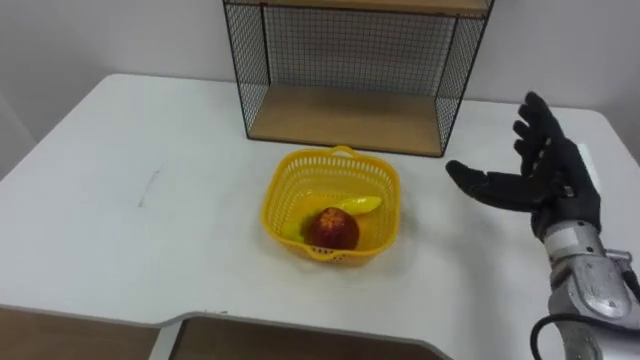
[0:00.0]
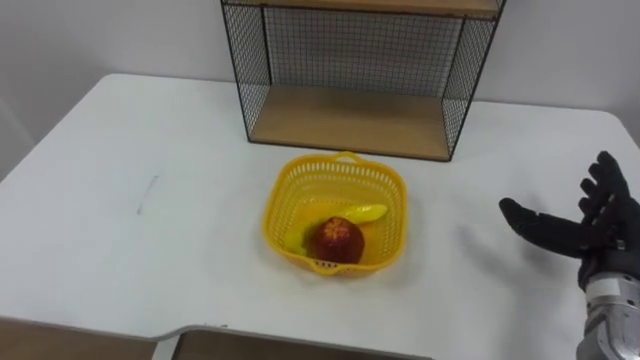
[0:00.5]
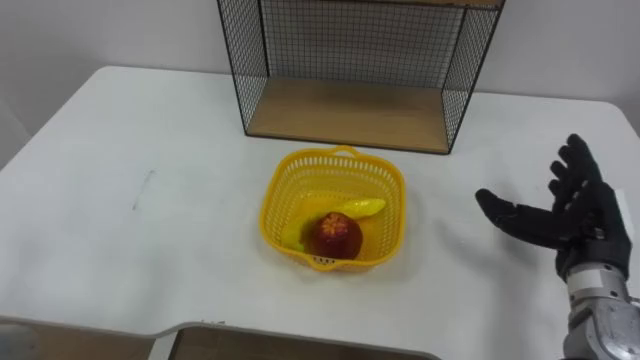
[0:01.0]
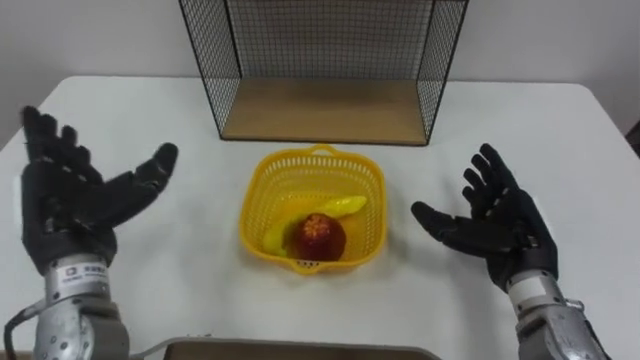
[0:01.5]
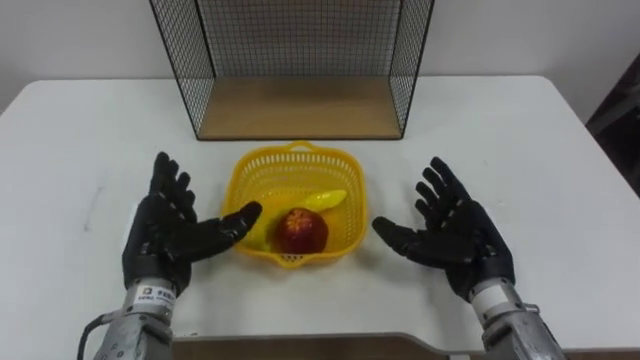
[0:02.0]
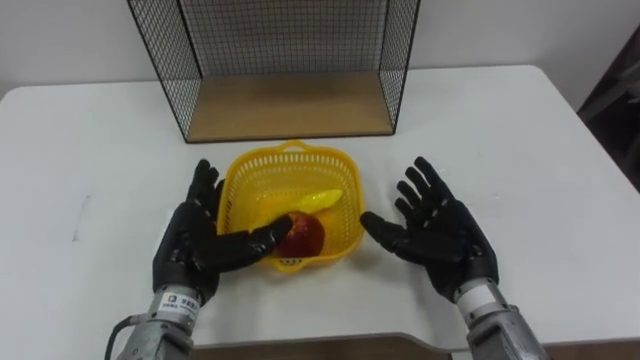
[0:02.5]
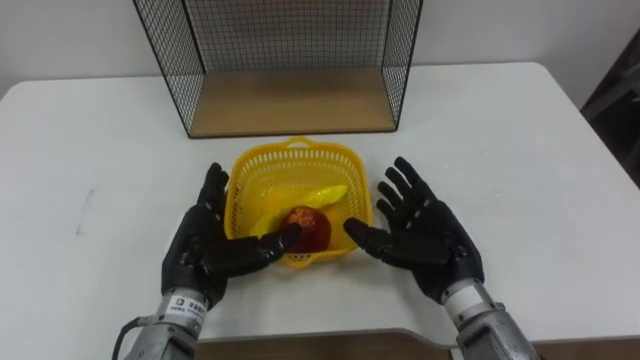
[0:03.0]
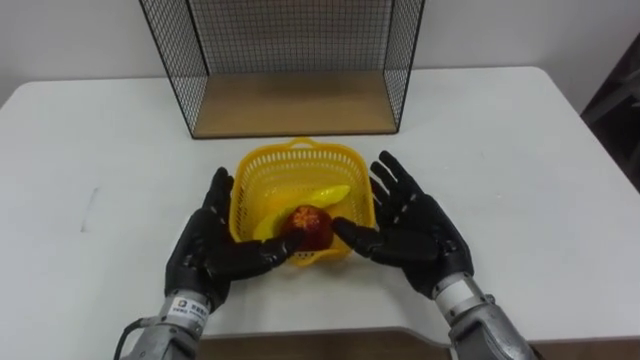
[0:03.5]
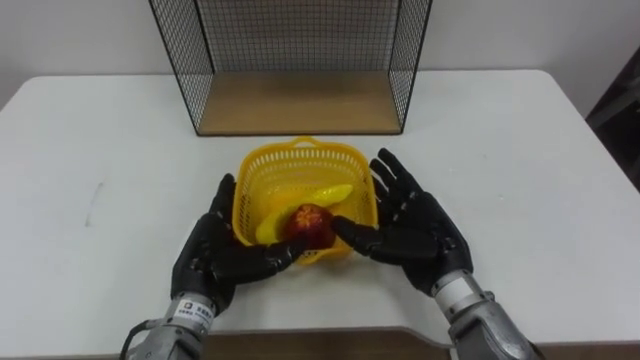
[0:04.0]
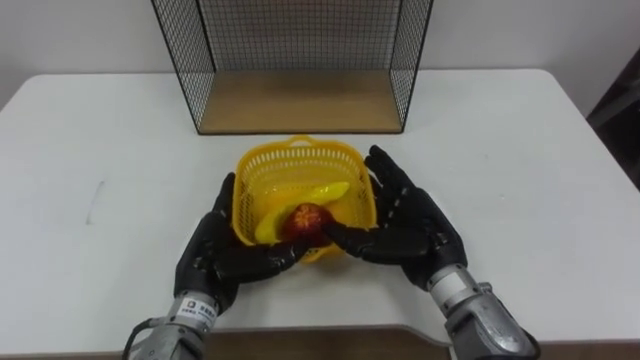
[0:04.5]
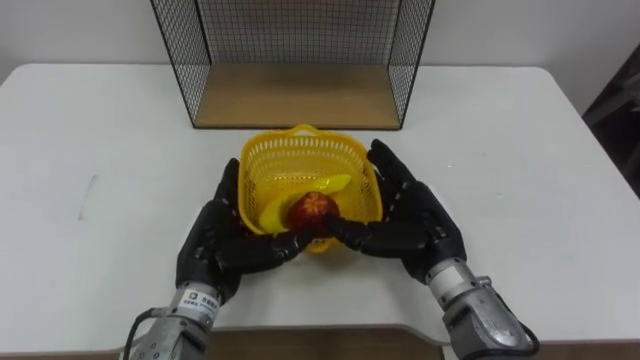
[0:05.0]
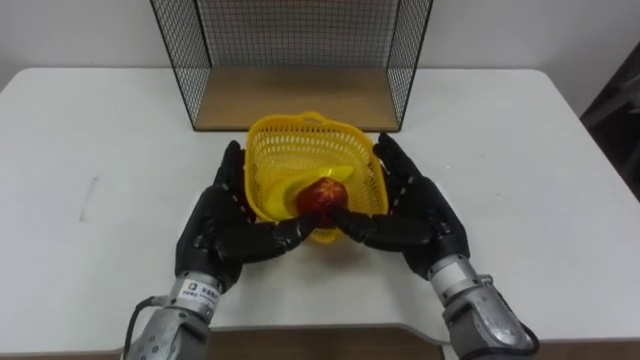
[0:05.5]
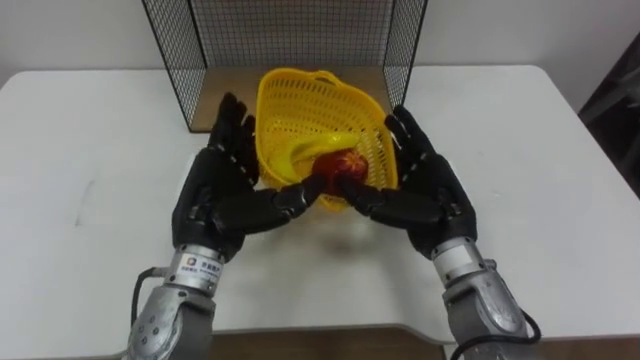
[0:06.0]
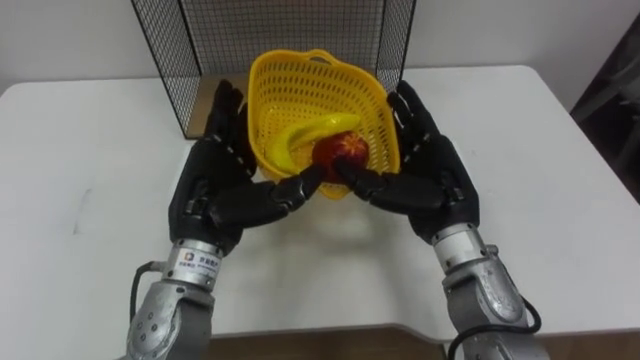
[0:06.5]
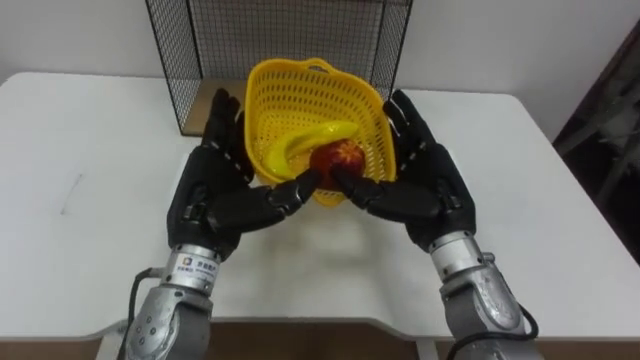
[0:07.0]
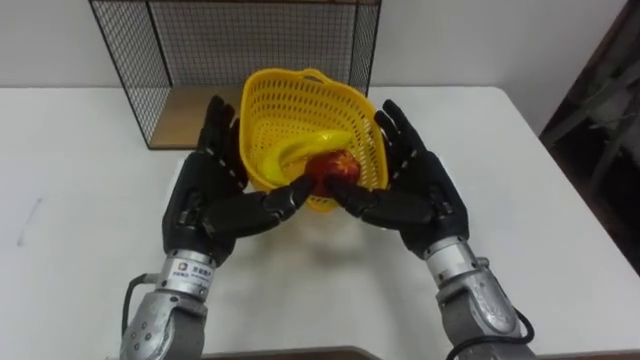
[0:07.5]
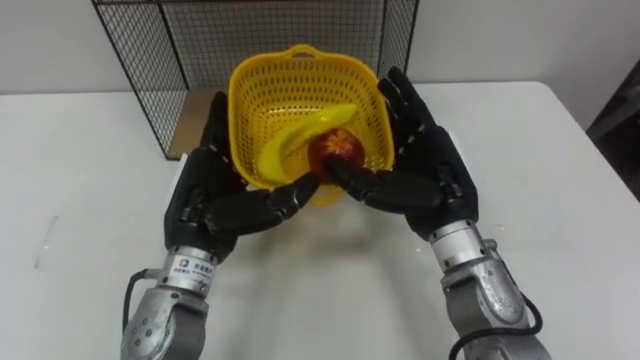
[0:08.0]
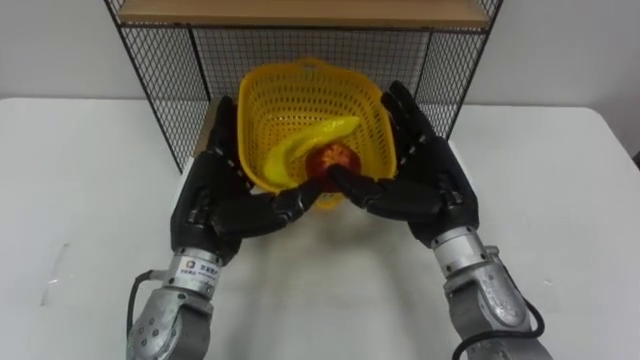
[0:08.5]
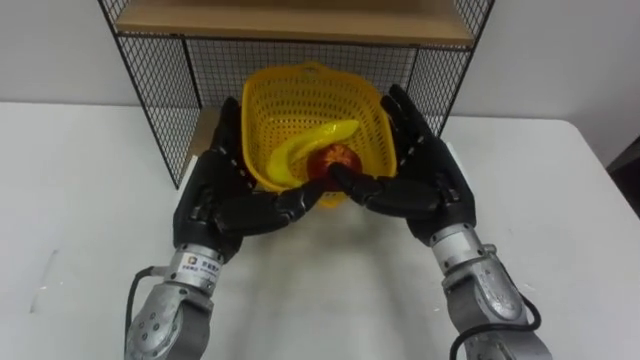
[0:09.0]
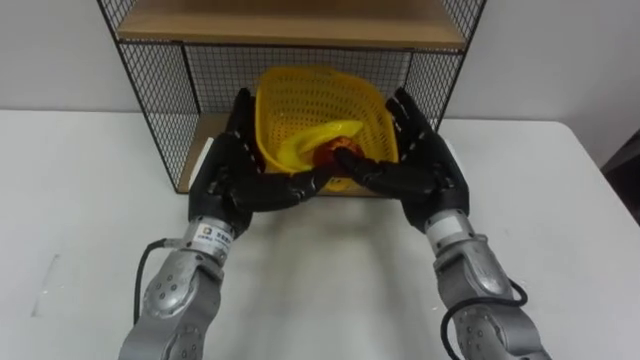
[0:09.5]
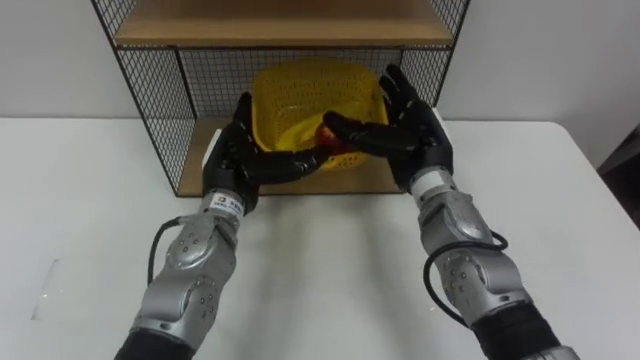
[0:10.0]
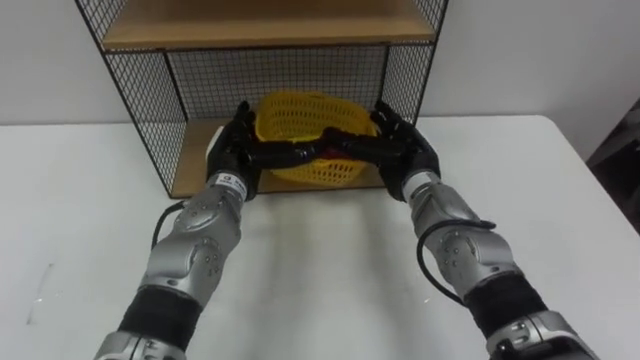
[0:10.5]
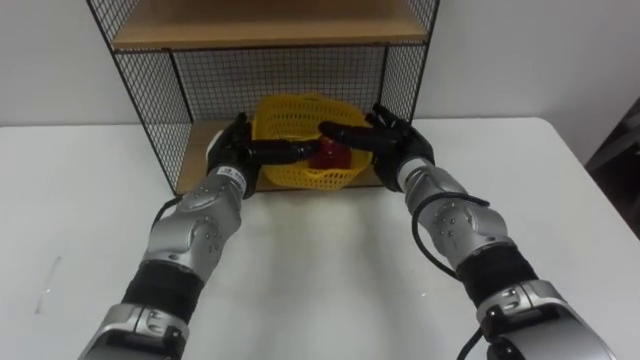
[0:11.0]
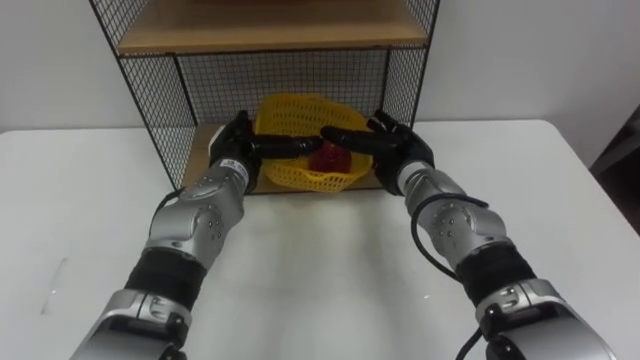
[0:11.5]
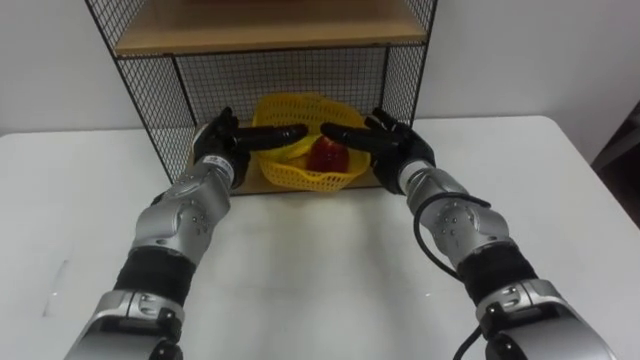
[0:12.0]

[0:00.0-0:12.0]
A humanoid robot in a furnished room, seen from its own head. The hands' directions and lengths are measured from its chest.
Task of the whole recording: Put the fruit on the table into the basket, then place the basket on the shelf.
0:00.0 to 0:02.0: The right hand moves to the left and downward, about 10 cm.
0:02.0 to 0:04.0: The left hand goes approximately 5 cm to the right. Meanwhile the right hand travels to the left by approximately 5 cm.
0:04.0 to 0:06.0: The left hand is displaced upward by some 10 cm.
0:08.0 to 0:10.0: The hands both shift forward by approximately 5 cm.
0:10.0 to 0:12.0: The right hand shifts about 5 cm downward; the left hand ends up some 5 cm from where it was.

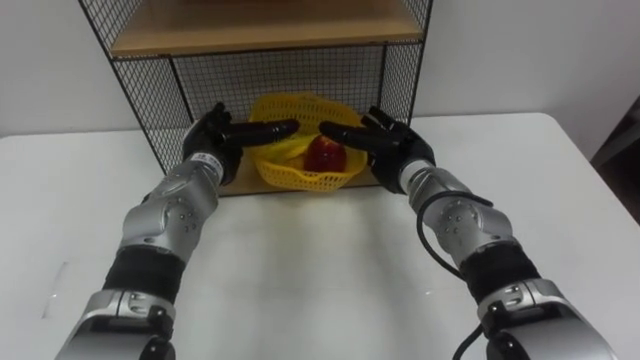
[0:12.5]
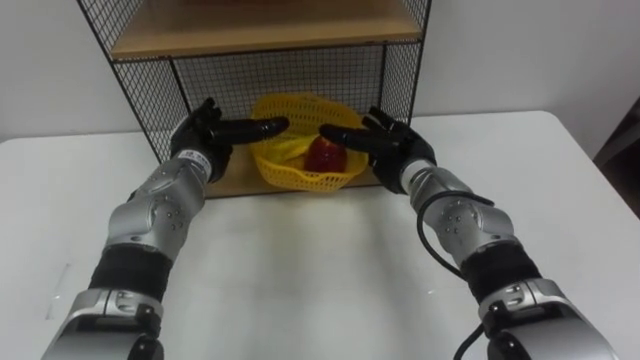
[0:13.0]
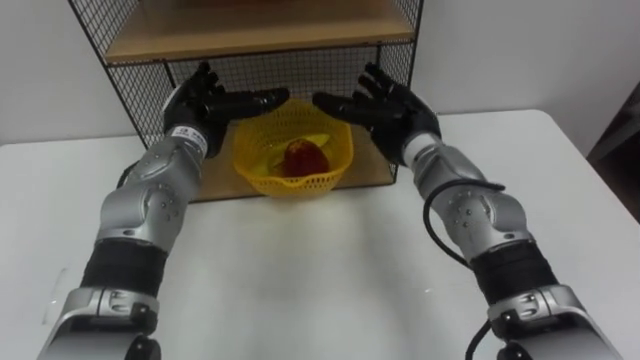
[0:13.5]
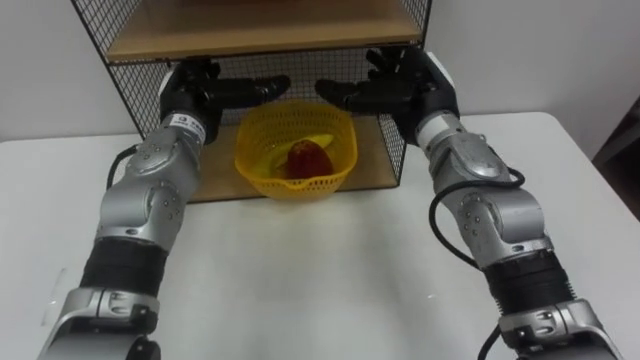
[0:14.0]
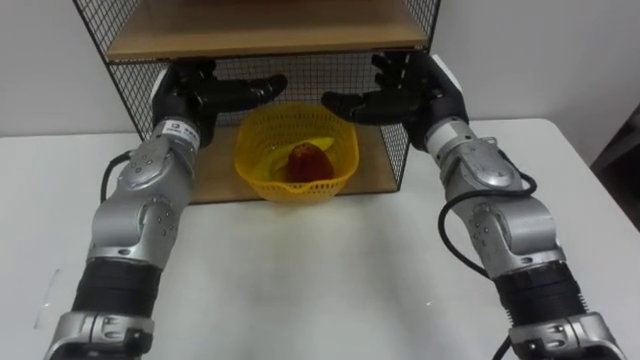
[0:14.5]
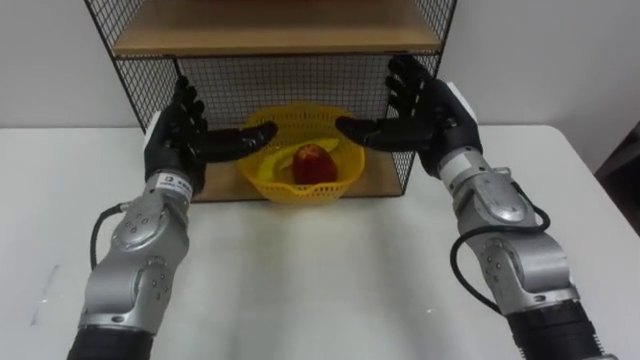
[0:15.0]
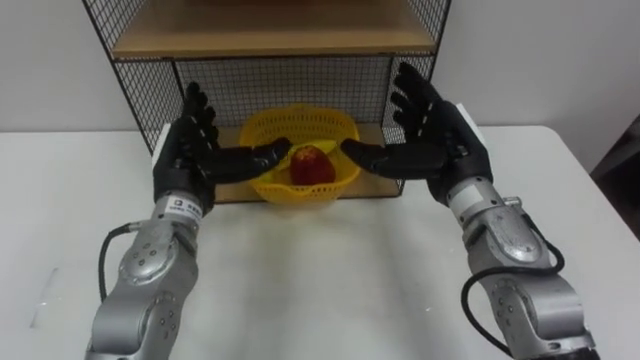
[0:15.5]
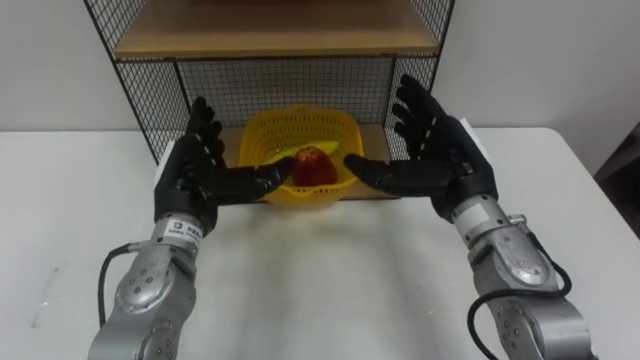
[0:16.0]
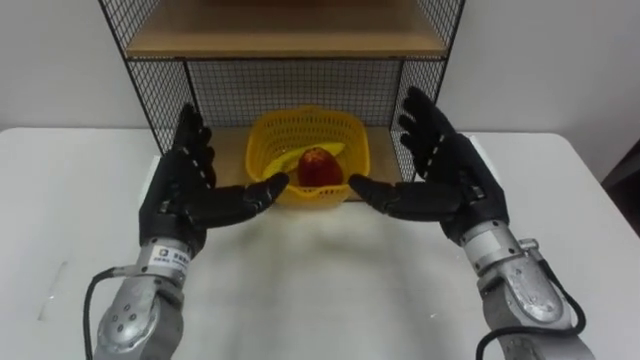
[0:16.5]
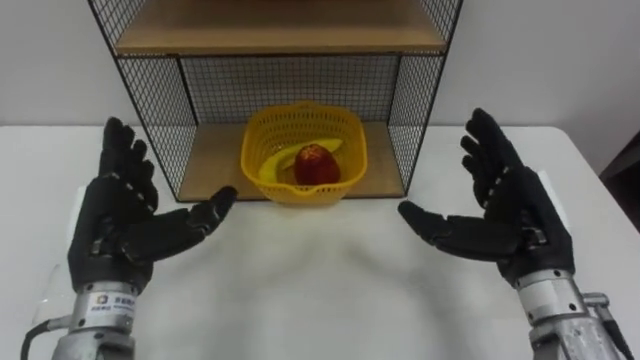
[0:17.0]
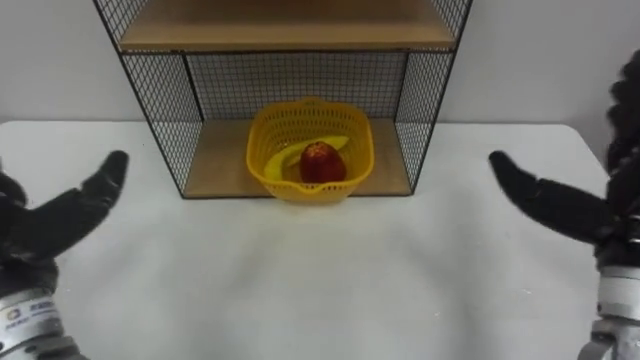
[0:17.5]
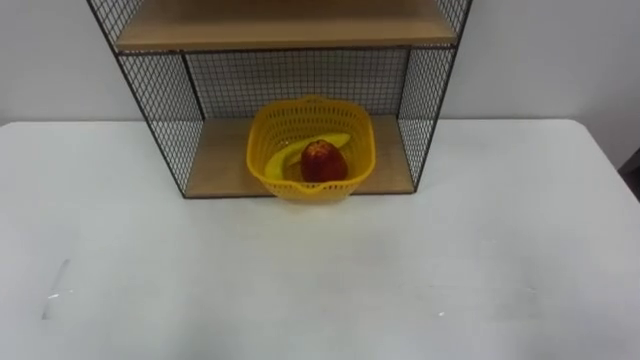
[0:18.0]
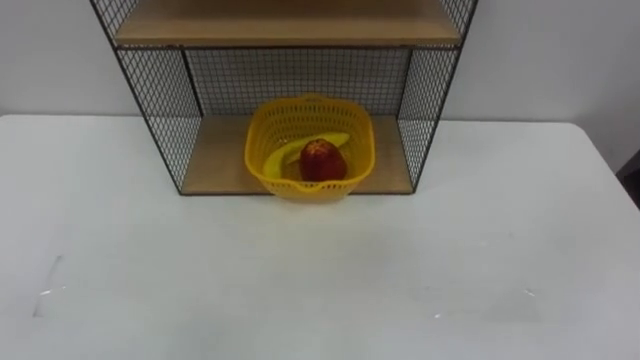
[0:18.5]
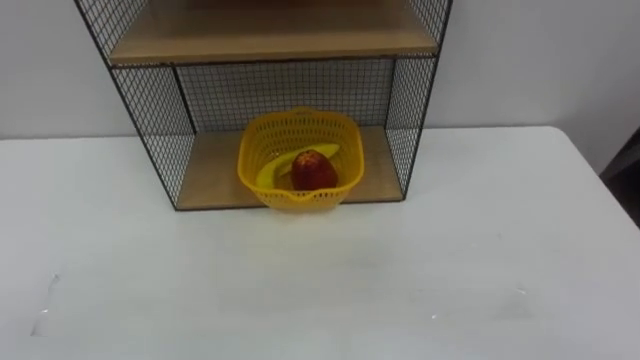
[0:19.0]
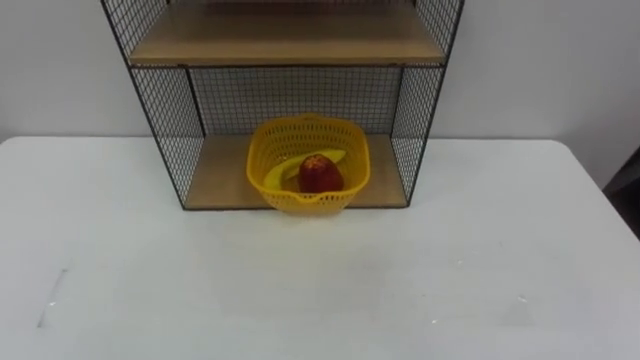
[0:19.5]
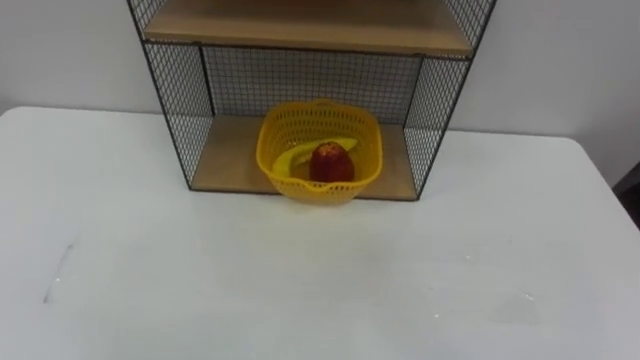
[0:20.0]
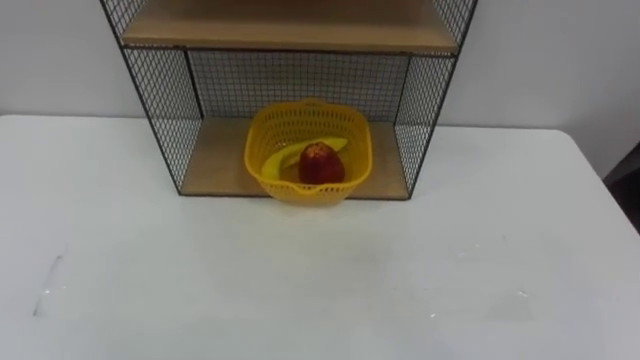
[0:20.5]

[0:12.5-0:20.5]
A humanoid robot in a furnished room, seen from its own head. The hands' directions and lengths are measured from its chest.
Task of the whole recording: Put the fruit on the table into the basket, then place the basket on the shelf.
0:12.5 to 0:14.5: Both hands move upward, approximately 10 cm.
0:14.5 to 0:16.5: Both hands travel together backward, about 10 cm.
